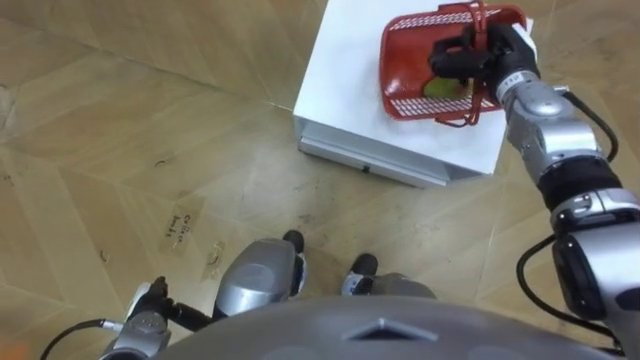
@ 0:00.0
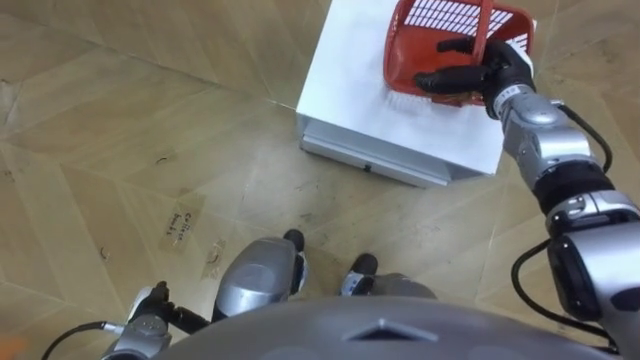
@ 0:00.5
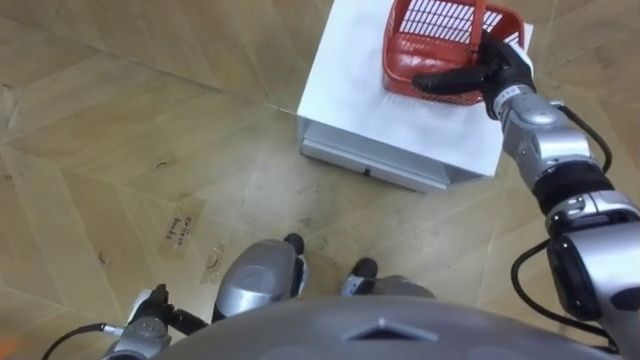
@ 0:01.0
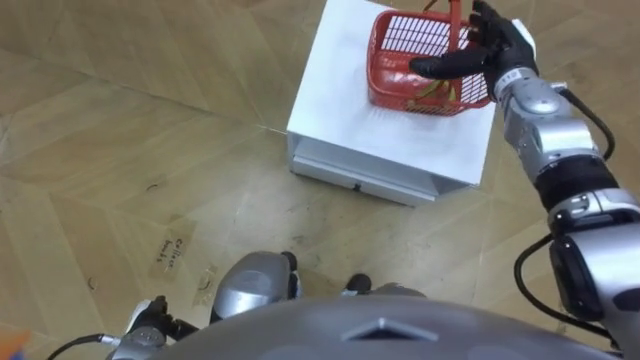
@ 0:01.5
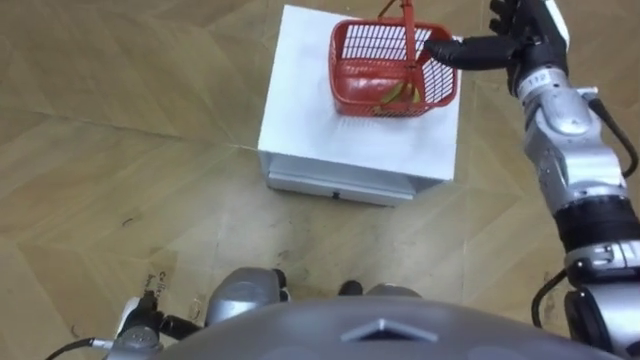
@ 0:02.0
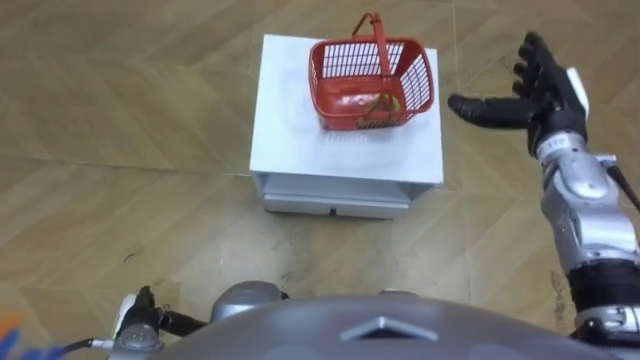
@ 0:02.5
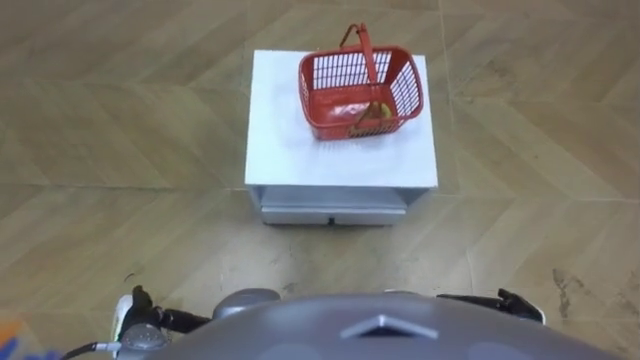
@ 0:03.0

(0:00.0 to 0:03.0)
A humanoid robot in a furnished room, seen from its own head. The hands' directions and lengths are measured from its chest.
Task of the whole recording: Pick up the fruit basket from the floor and place it on the cabinet.
0:00.0 - 0:01.5: The right hand opens up.
0:01.5 - 0:03.0: The right hand shifts approximately 40 cm backward and downward.

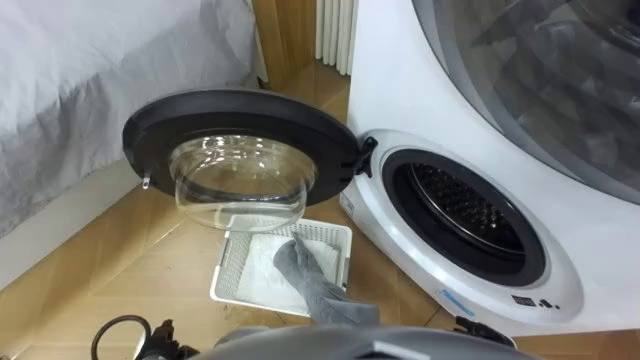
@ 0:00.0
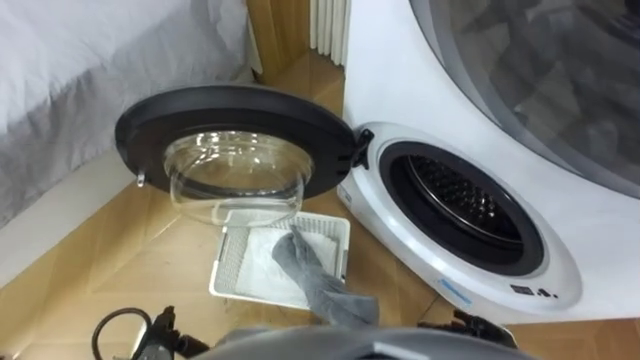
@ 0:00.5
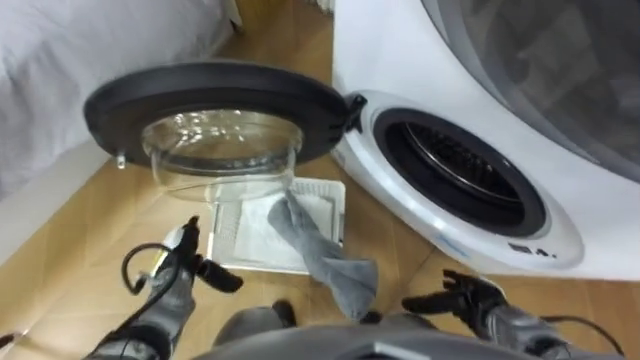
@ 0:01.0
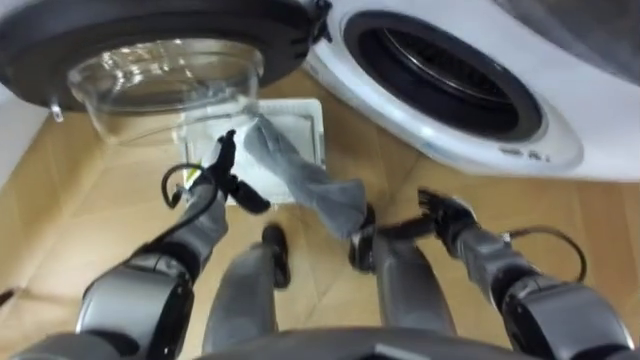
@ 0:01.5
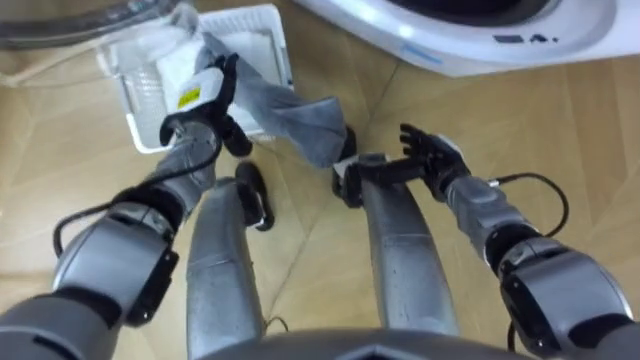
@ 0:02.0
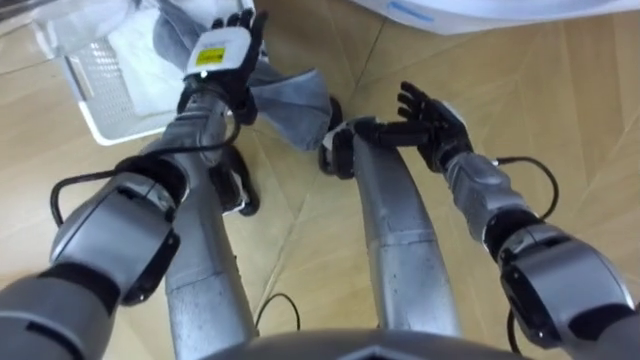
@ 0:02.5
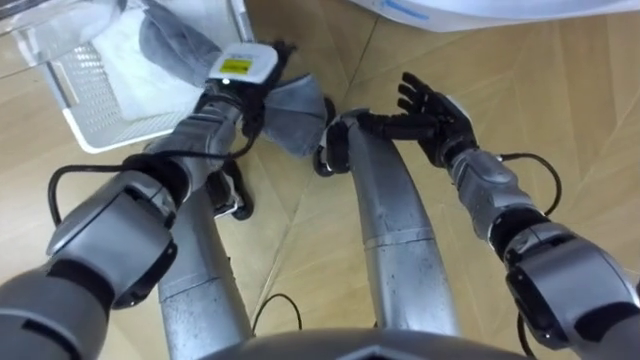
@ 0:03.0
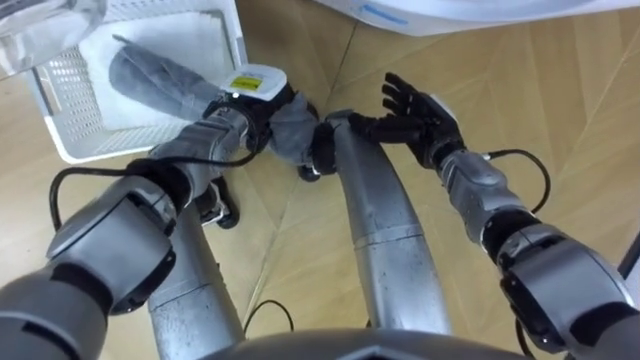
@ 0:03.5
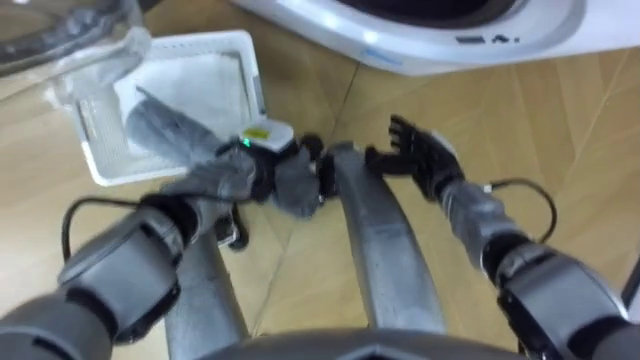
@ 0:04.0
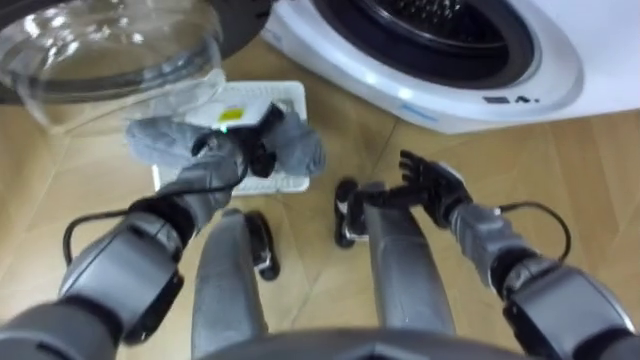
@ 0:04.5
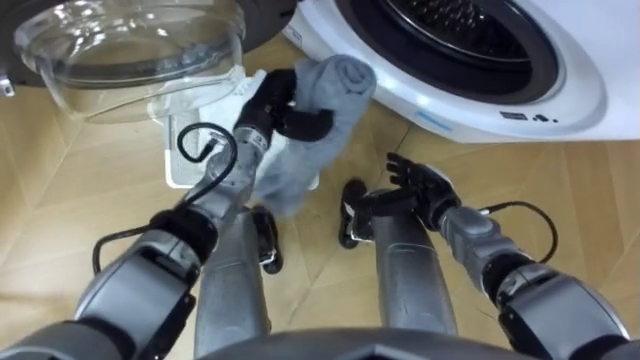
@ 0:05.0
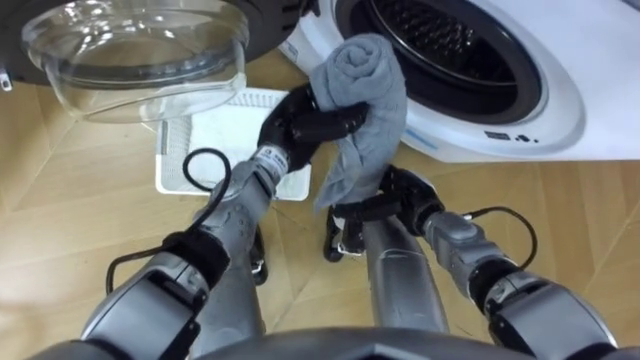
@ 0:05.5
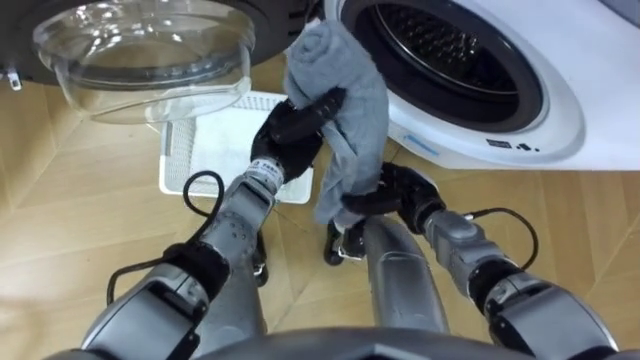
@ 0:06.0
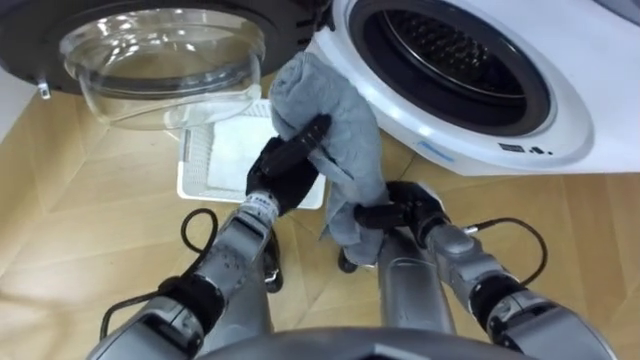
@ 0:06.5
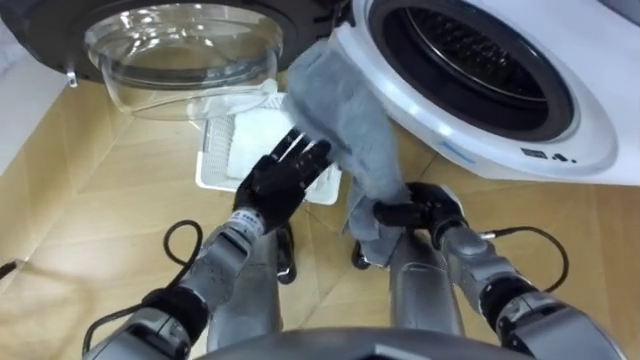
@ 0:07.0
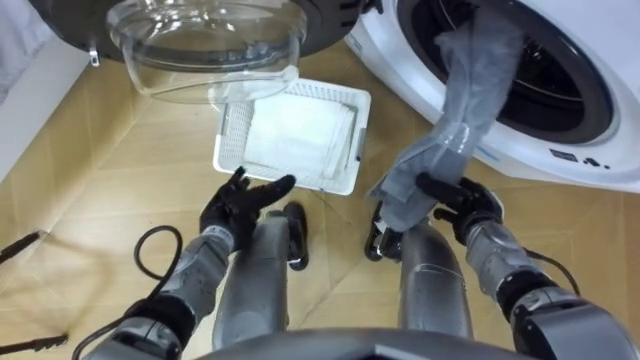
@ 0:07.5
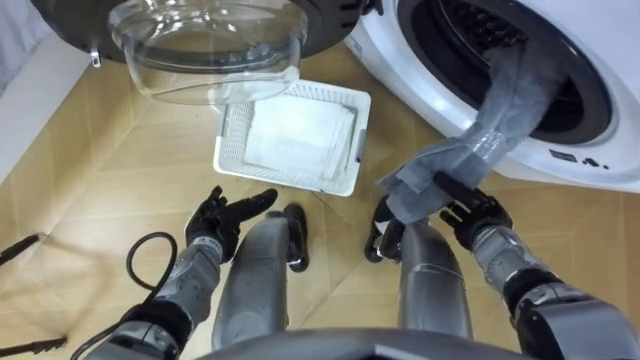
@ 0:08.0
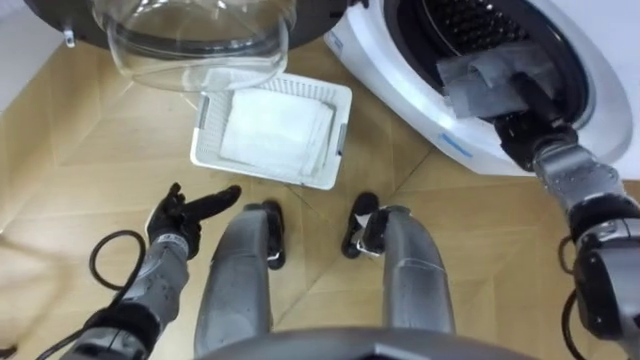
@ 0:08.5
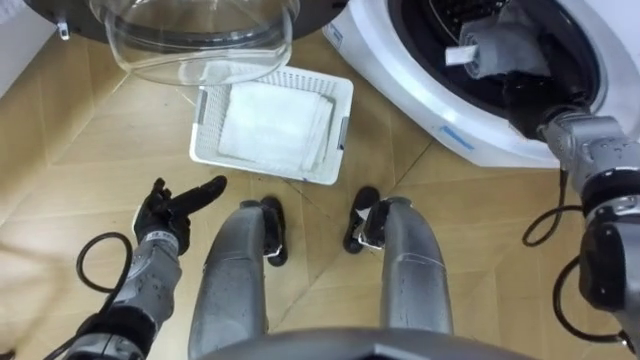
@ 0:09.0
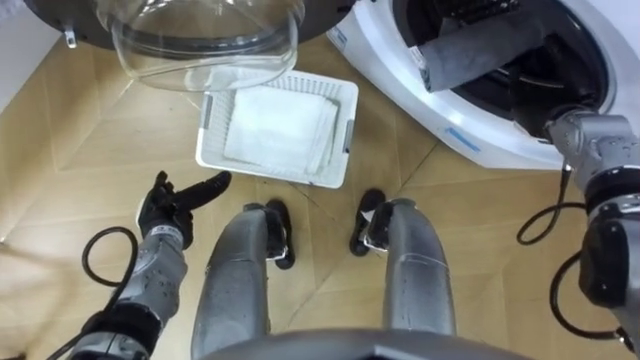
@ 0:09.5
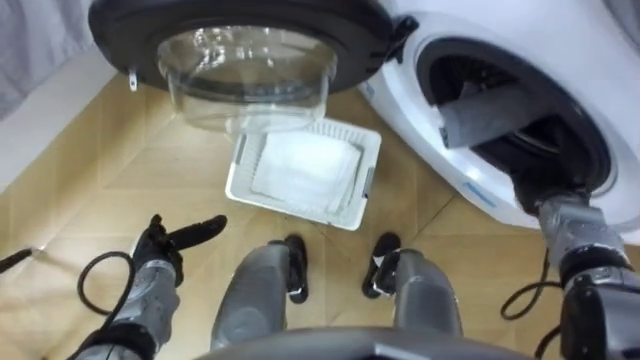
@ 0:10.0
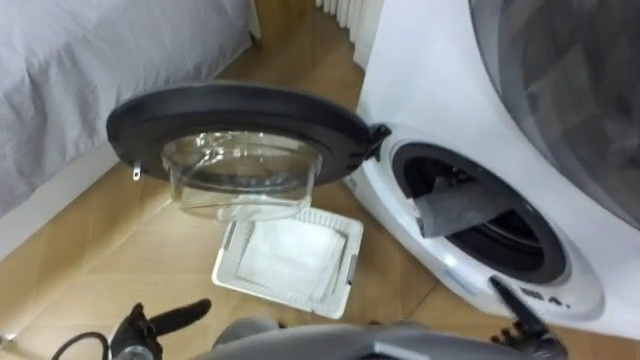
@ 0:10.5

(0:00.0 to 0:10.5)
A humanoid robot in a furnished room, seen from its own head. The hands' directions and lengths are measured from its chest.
Task of the whole recording: Take the towel from the basket and put it into the washing machine.
0:02.0 - 0:04.0: The left hand travels to the right by approximately 10 cm, and closes its fingers.
0:04.0 - 0:06.5: The left hand ends up roughly 5 cm from where it was, while the right hand shifts some 5 cm backward, and closes its fingers.
0:06.5 - 0:08.5: The left hand travels to the left and downward by approximately 20 cm, and opens up; the right hand moves to the right, forward and upward, roughly 20 cm.
0:08.5 - 0:10.5: The right hand heads backward and downward, covering approximately 30 cm, and opens, while the left hand is displaced backward by some 15 cm.

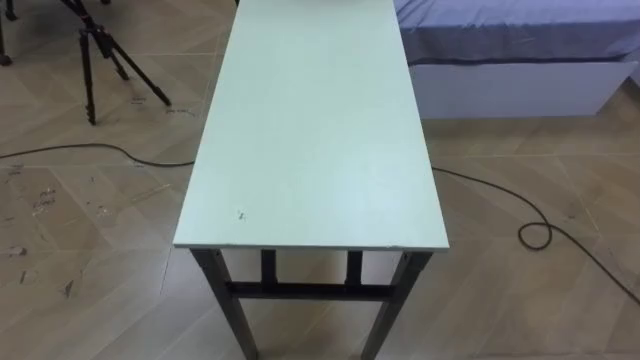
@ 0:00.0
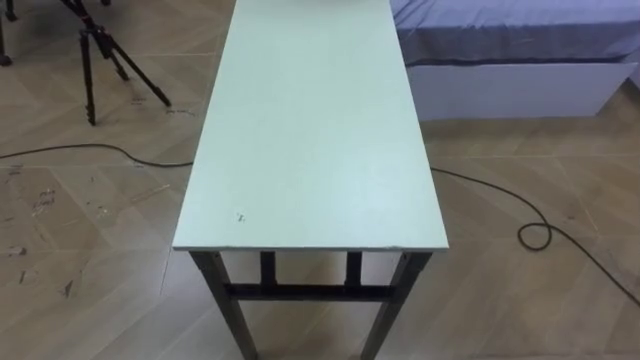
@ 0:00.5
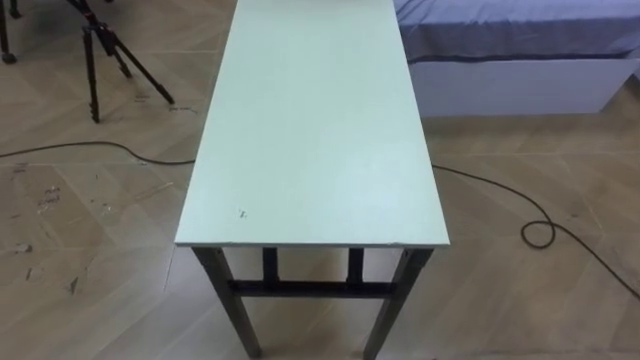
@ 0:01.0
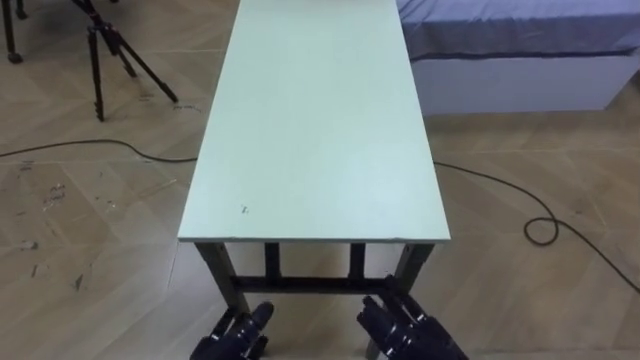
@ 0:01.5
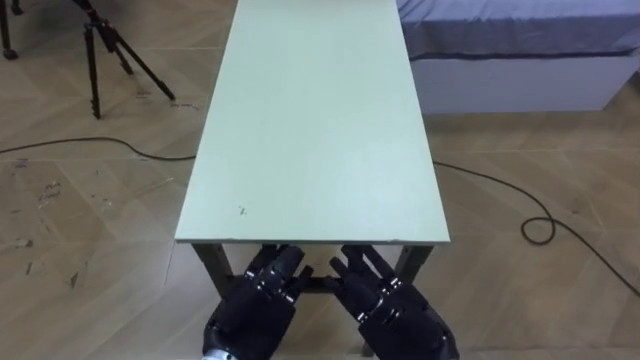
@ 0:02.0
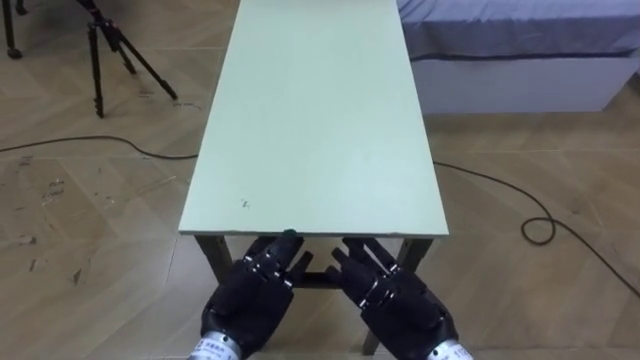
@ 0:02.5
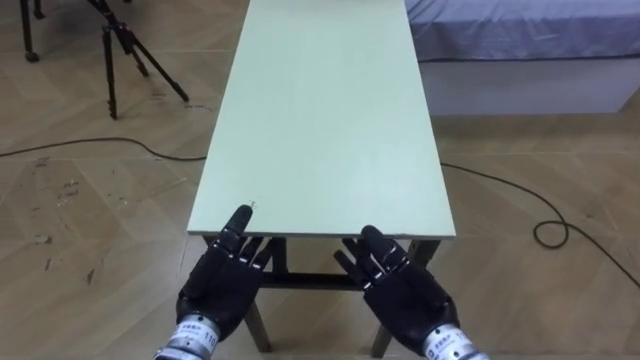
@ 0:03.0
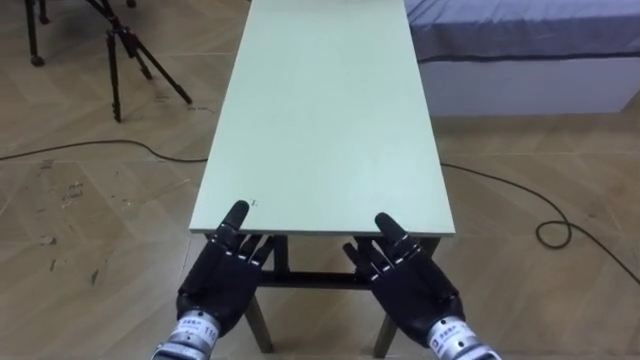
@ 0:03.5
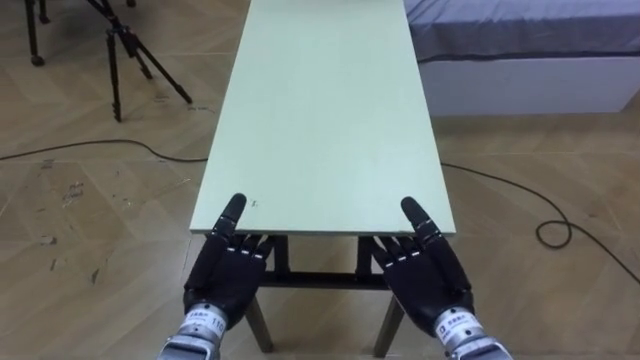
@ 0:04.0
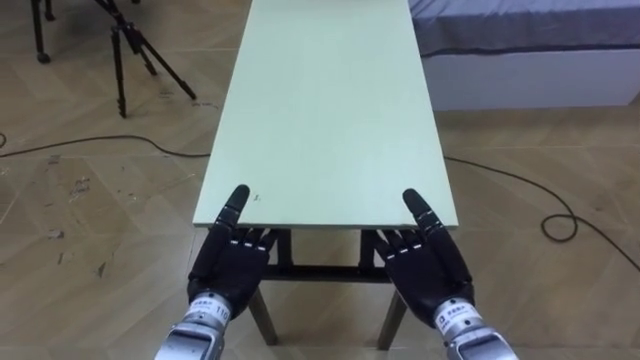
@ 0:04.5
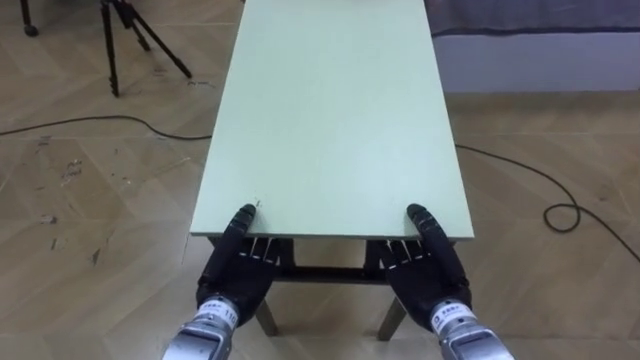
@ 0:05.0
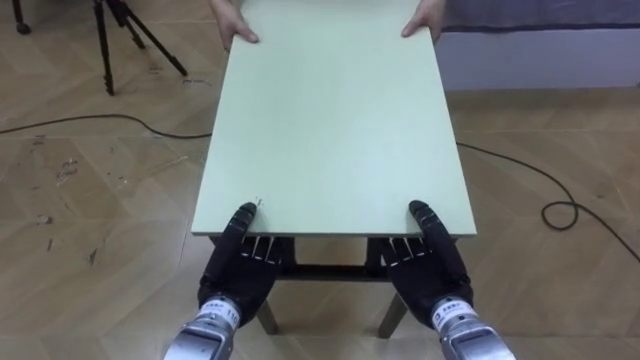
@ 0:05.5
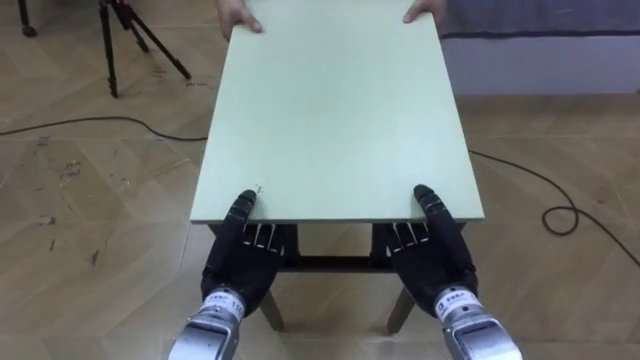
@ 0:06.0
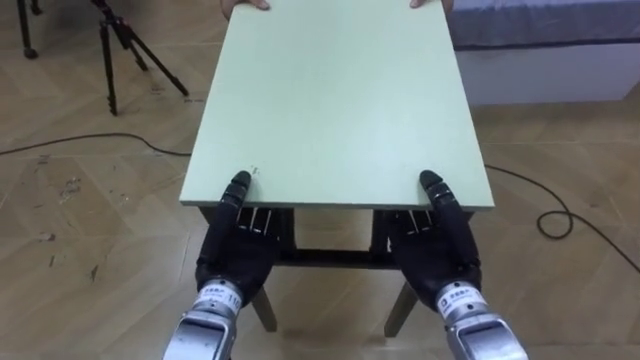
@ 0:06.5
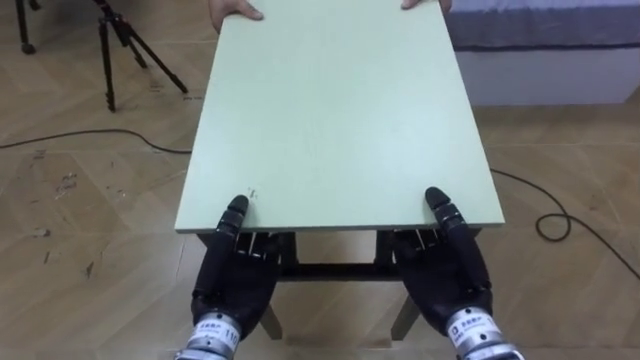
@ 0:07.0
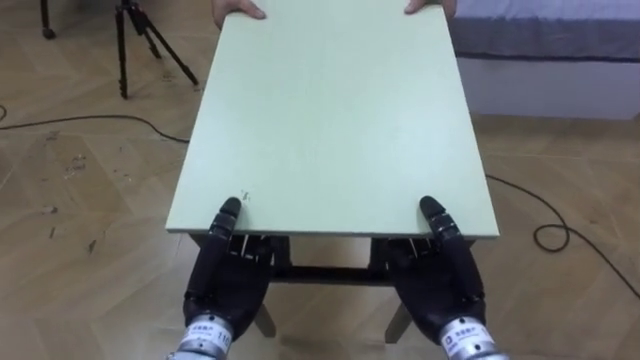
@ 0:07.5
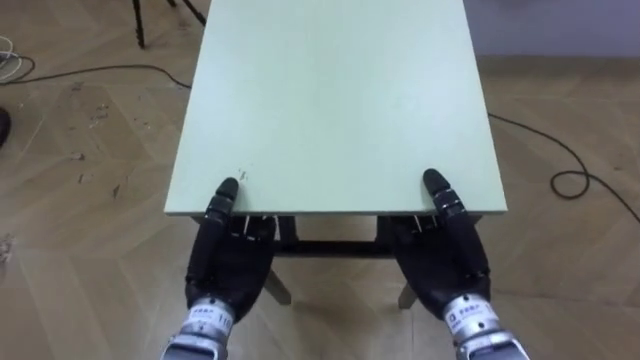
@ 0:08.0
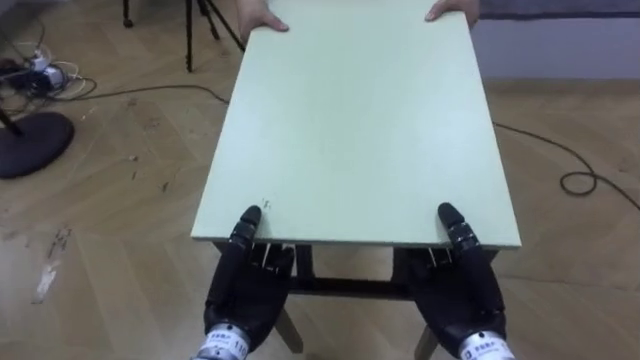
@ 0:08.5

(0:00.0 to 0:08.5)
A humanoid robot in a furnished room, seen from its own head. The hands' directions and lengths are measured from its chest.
Task of the whole recording: Move the table to the back left with someone.
0:02.0 - 0:04.0: The hands both shift forward by about 5 cm.
0:04.0 - 0:06.5: The left hand closes its fingers. The right hand closes up.
